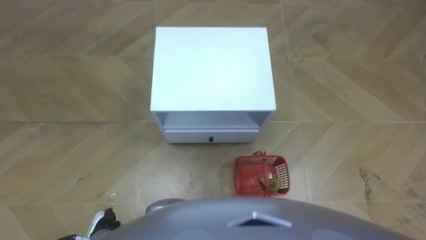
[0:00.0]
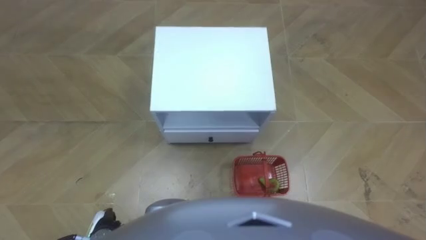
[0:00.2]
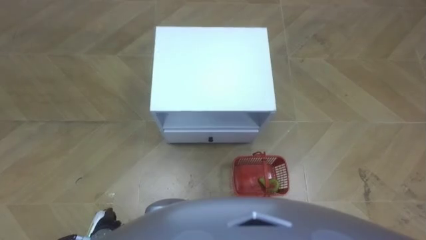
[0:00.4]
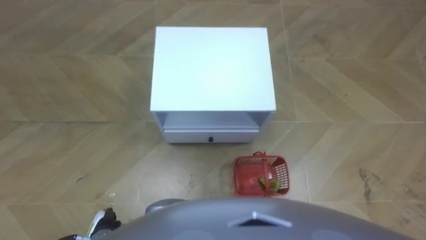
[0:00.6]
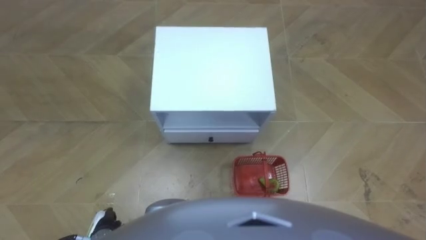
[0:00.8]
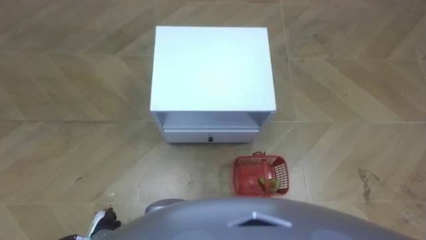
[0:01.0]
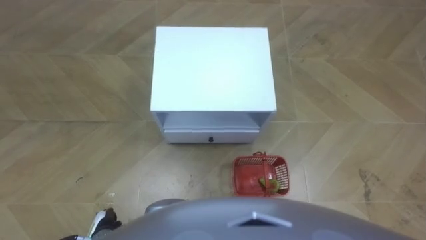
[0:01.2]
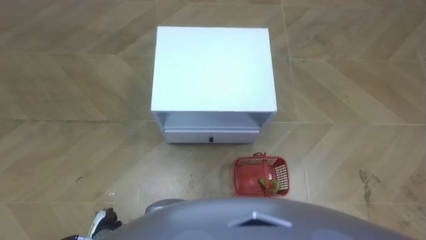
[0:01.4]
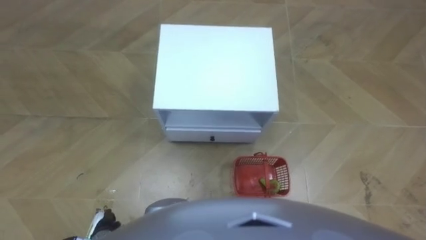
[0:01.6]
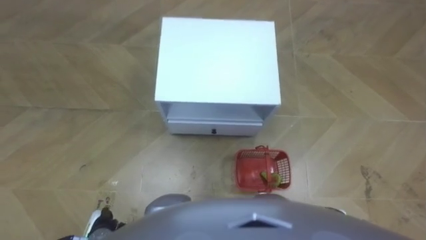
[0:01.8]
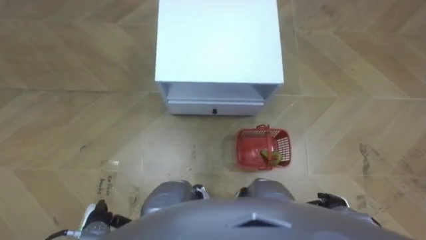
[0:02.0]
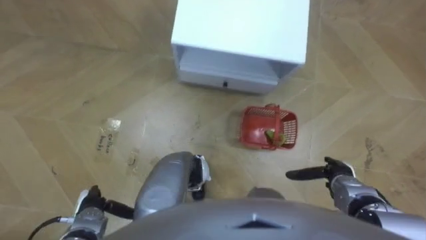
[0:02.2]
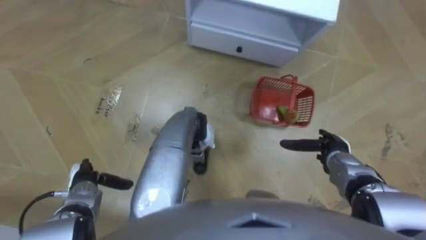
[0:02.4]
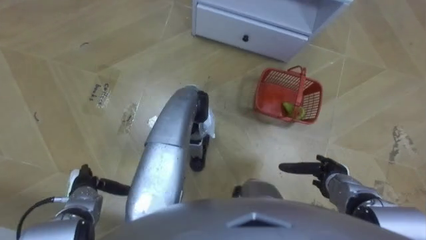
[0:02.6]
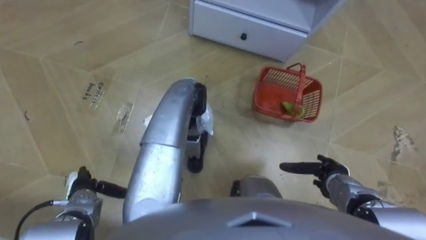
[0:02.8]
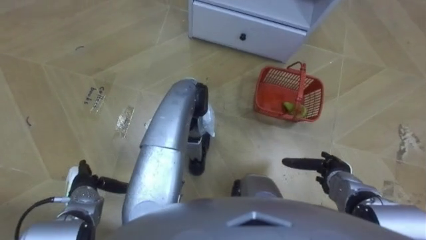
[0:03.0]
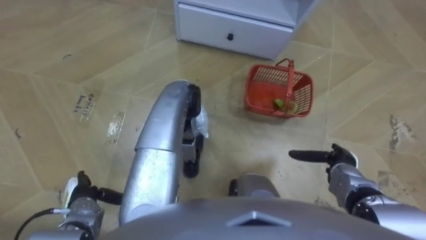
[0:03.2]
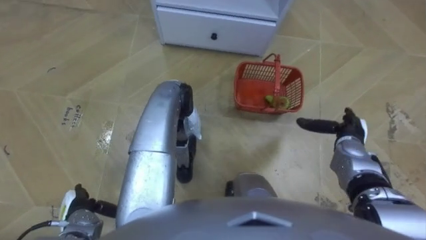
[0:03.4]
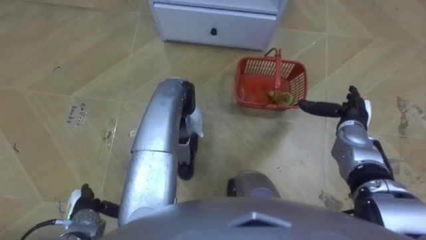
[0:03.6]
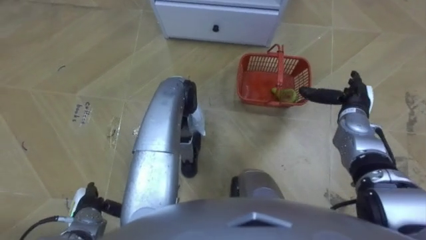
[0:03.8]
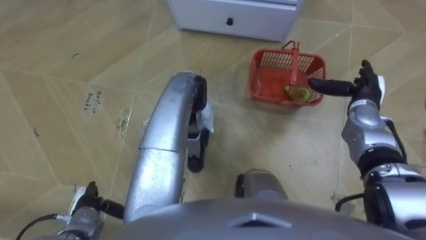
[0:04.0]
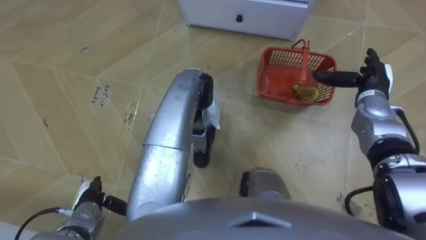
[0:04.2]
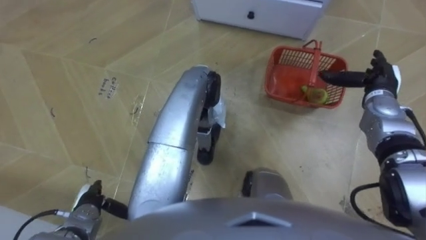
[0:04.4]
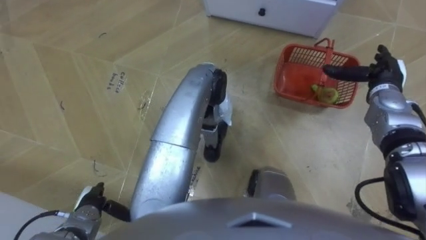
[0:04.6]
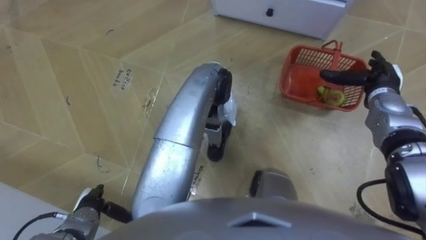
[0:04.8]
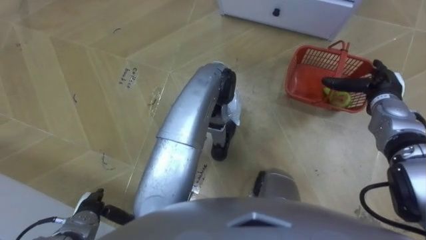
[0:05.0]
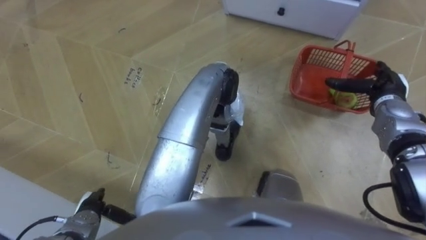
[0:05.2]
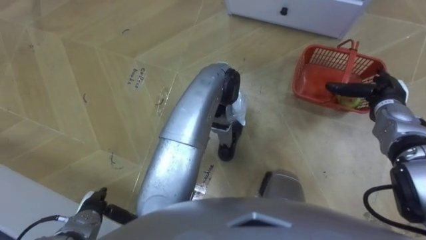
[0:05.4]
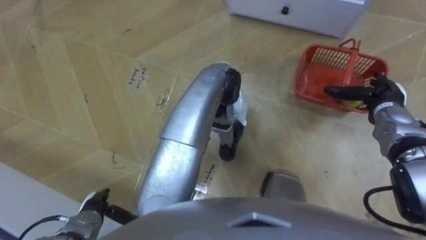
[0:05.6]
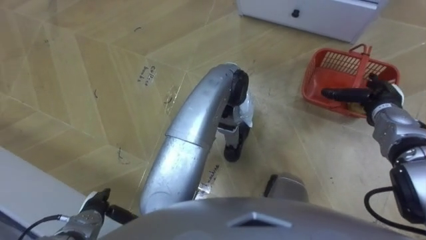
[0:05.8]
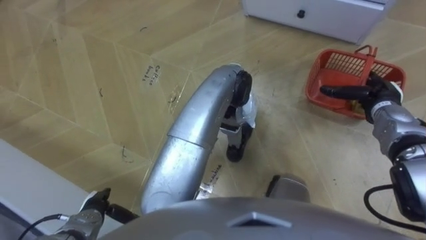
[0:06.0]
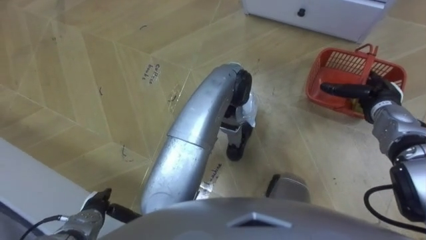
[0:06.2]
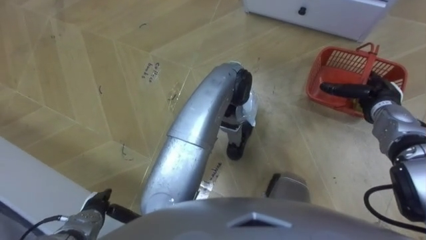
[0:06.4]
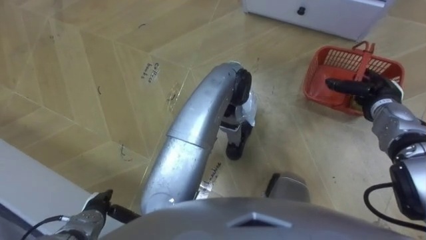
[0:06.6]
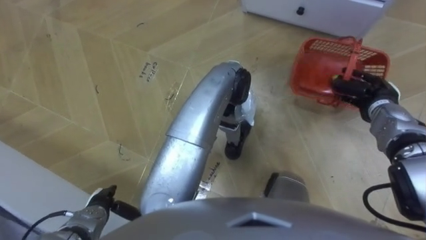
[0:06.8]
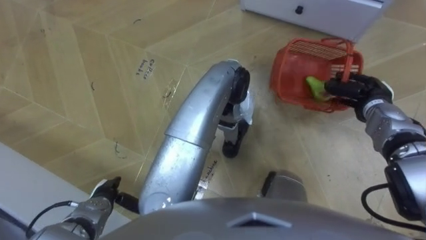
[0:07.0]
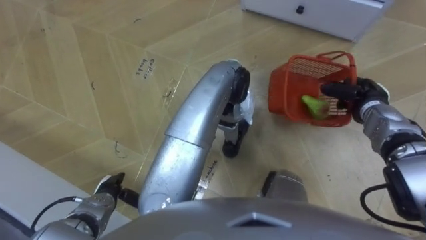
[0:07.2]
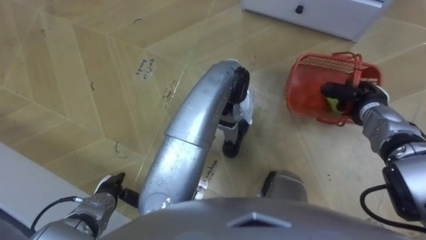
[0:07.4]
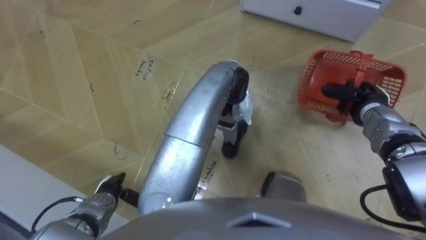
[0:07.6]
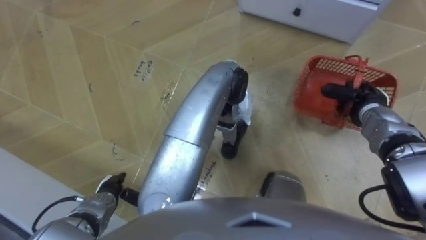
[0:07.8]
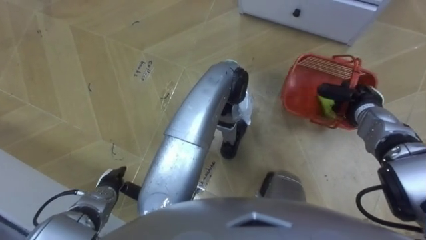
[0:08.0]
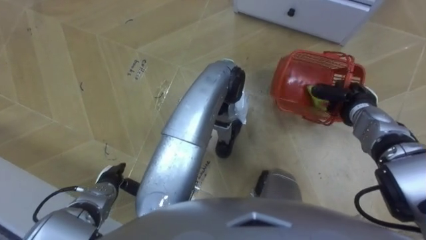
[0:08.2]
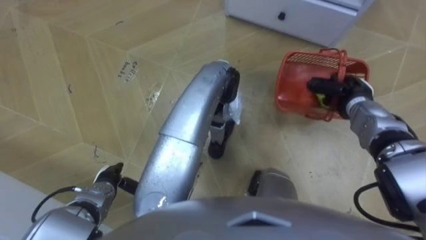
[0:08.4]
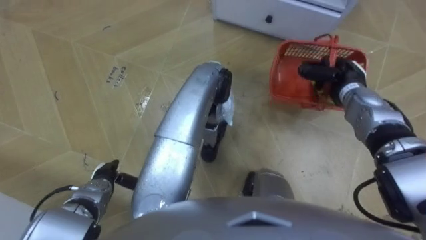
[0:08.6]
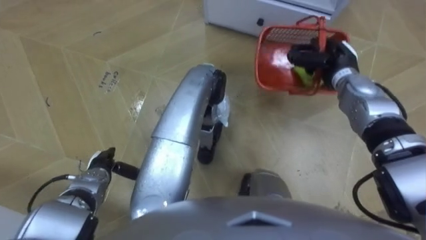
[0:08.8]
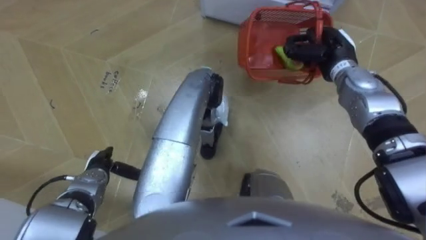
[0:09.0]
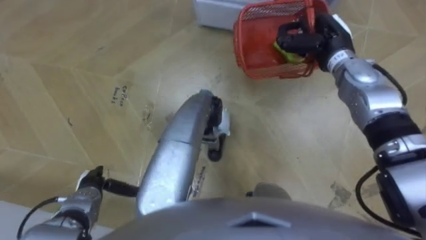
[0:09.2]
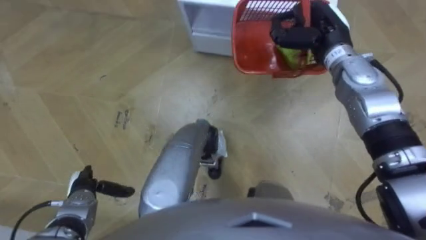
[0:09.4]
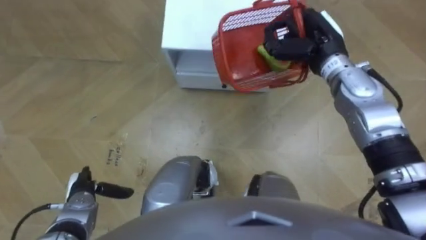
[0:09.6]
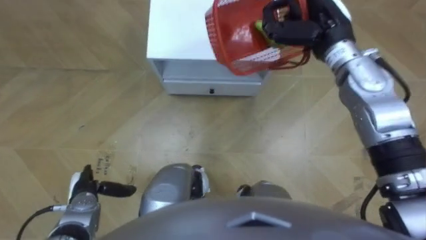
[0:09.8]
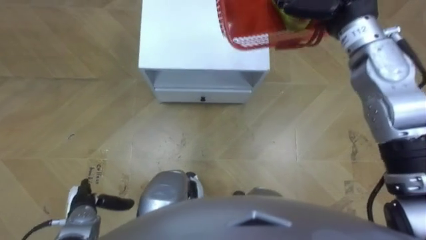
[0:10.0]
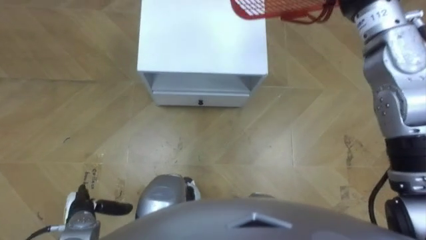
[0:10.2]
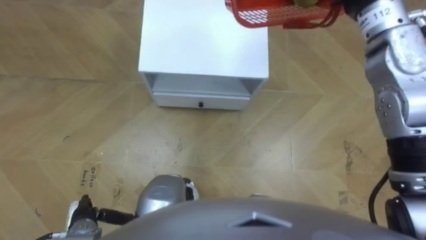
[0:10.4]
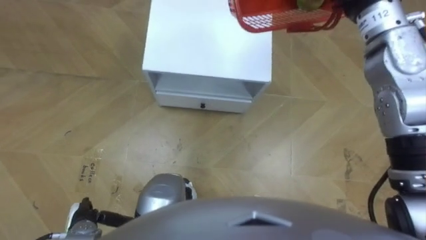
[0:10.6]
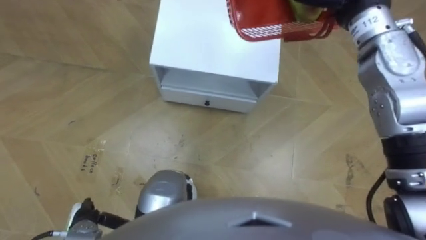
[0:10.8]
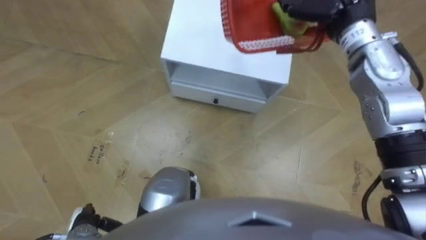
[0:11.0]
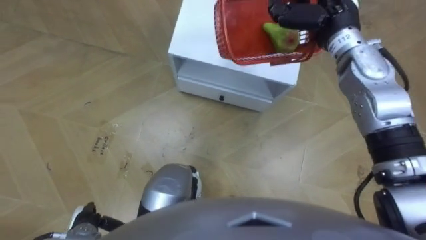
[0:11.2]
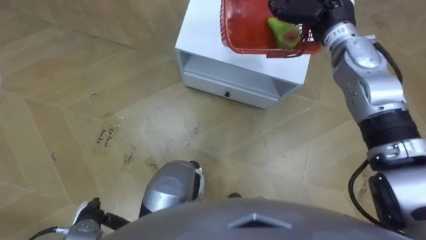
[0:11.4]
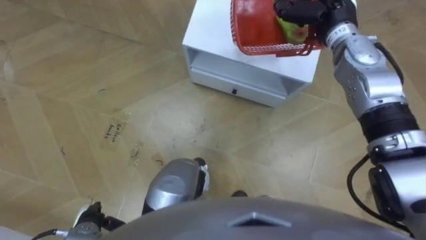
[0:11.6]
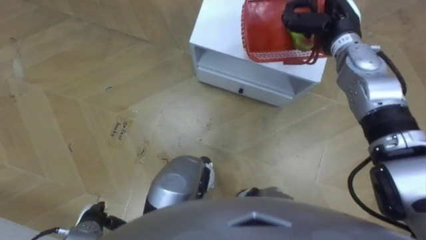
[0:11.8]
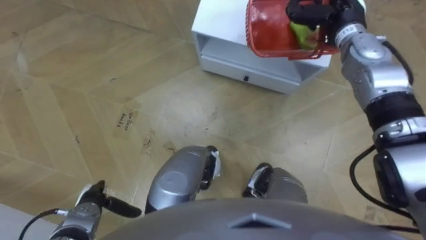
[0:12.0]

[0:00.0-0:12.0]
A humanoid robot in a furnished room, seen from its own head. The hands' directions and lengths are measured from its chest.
Task of the whole recording: Pick up the fruit basket from the floor and place it on the cabinet.
0:01.6 to 0:03.0: The right hand travels forward by roughly 15 cm, while the left hand moves forward and to the left, roughly 10 cm.
0:03.0 to 0:04.4: The right hand goes roughly 20 cm forward and upward.
0:06.0 to 0:07.6: The right hand closes up.
0:07.6 to 0:09.0: The right hand shifts roughly 15 cm to the left, forward and upward. Meanwhile the left hand goes some 5 cm forward.
0:09.0 to 0:10.4: The left hand travels backward by some 10 cm.

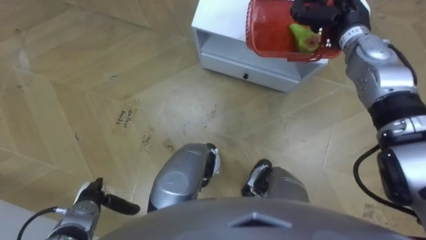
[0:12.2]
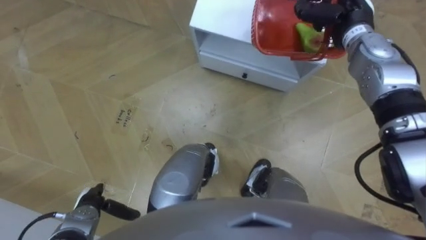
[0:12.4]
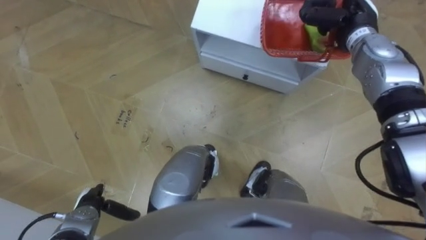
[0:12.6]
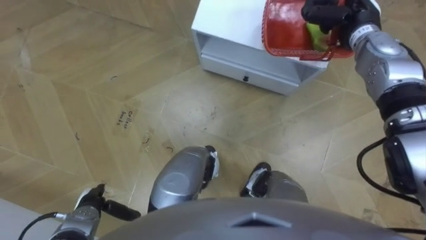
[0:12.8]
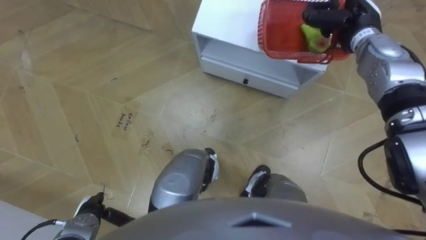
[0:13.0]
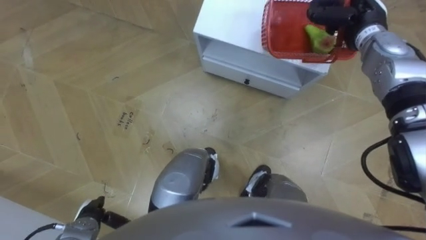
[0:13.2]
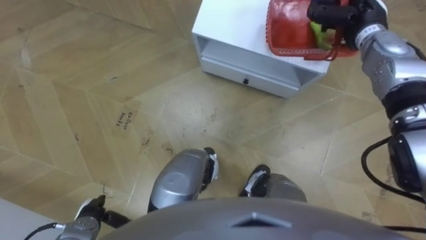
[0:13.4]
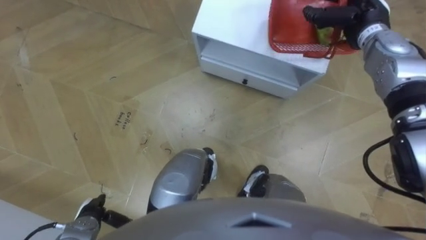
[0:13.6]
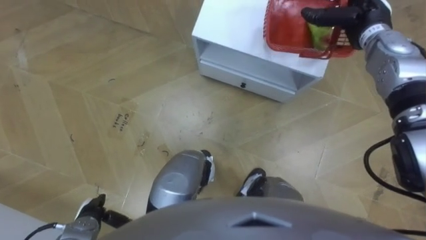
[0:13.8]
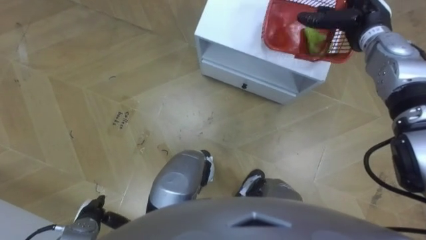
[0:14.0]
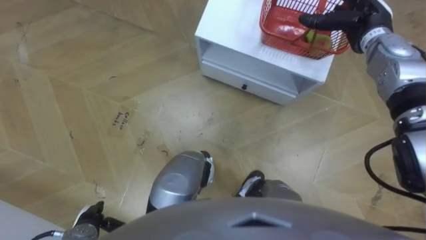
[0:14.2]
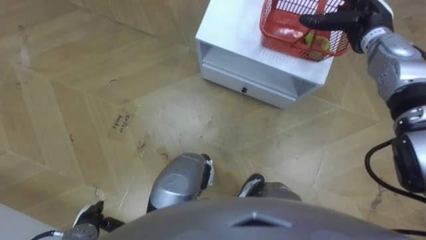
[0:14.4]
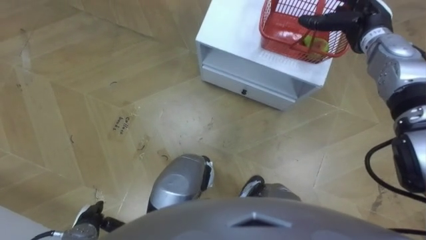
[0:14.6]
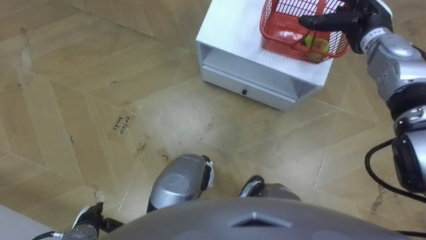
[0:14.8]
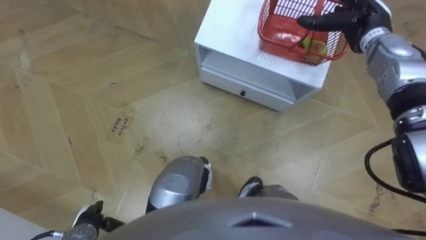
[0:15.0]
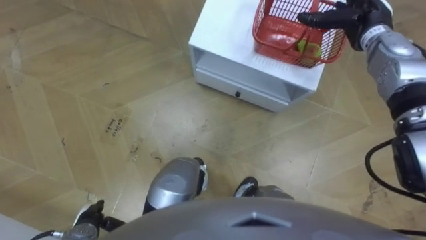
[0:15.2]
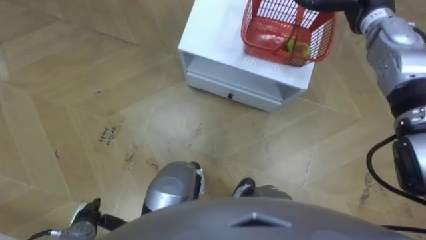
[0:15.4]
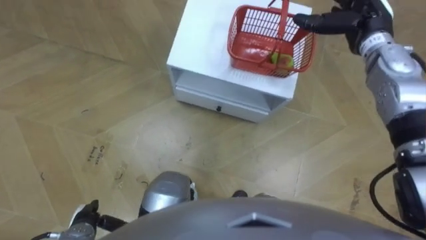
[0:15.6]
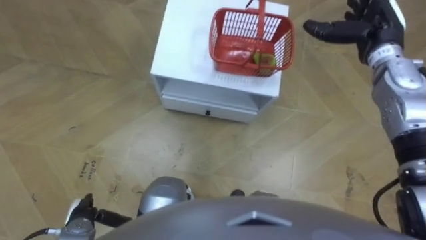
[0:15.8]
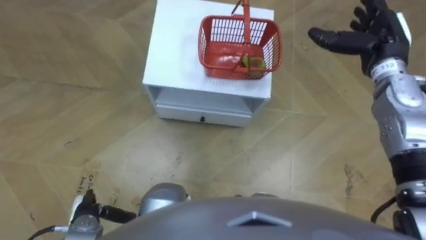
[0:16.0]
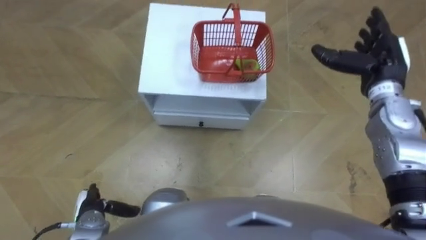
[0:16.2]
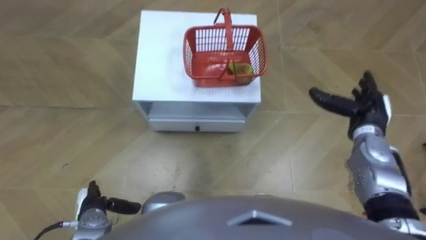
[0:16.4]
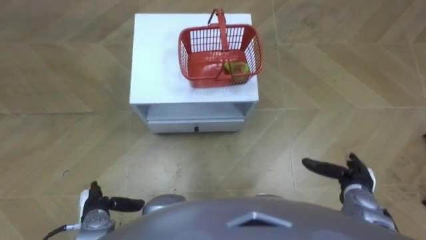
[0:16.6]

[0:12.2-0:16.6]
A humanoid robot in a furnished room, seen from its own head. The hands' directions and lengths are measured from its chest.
Task of the whole recording: Pick up the fruit basket from the floor and place it on the cabinet.
0:13.6 to 0:15.2: The right hand opens up.
